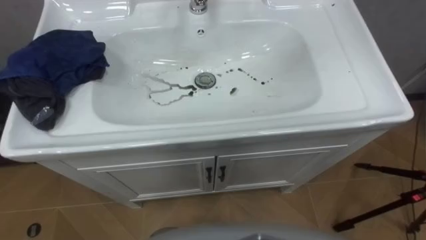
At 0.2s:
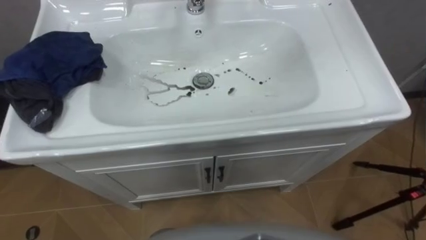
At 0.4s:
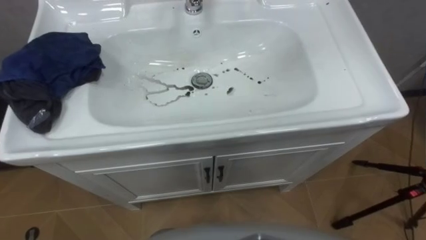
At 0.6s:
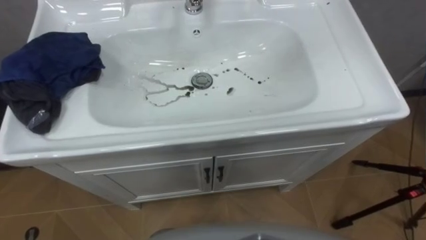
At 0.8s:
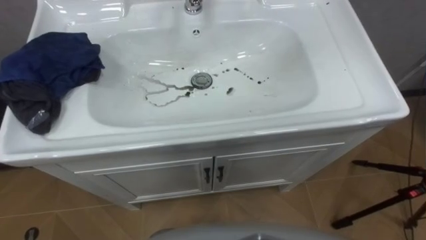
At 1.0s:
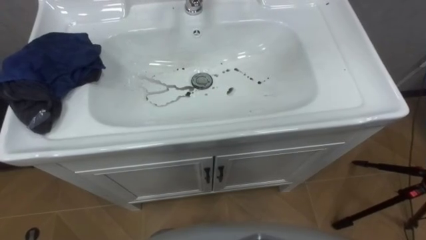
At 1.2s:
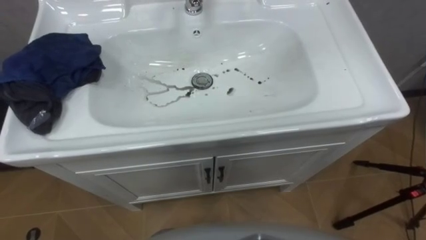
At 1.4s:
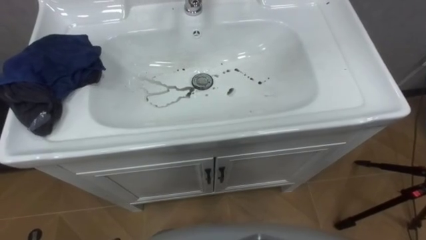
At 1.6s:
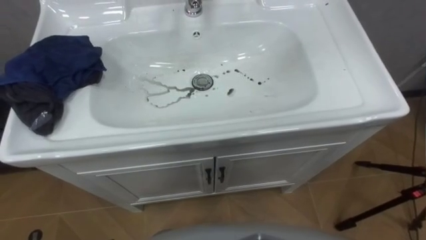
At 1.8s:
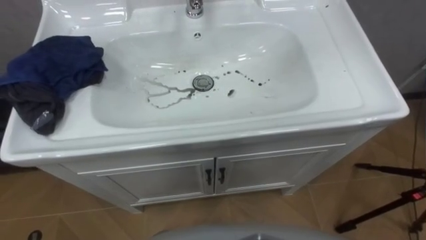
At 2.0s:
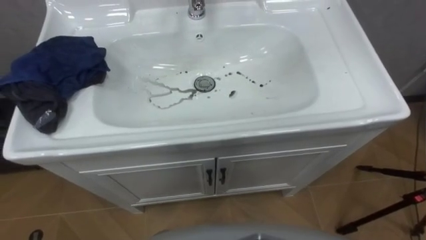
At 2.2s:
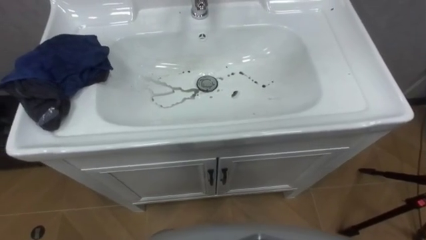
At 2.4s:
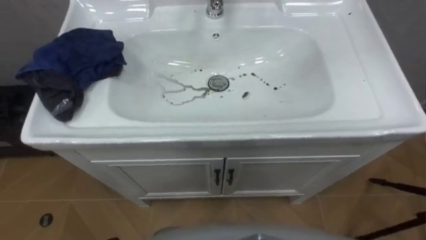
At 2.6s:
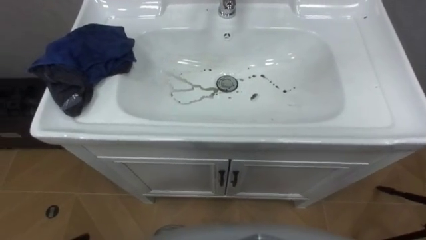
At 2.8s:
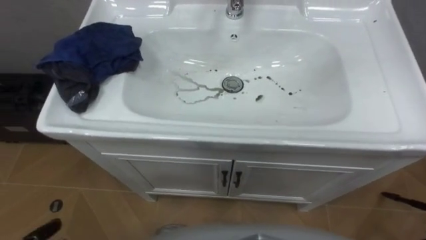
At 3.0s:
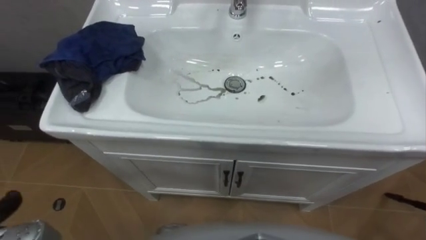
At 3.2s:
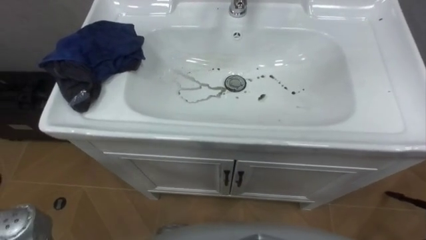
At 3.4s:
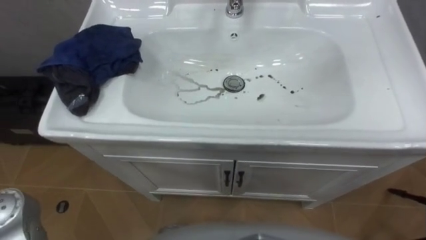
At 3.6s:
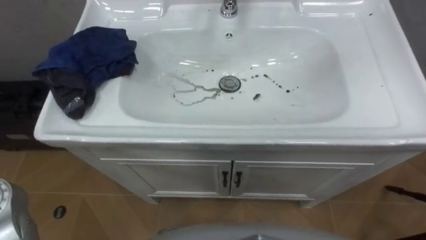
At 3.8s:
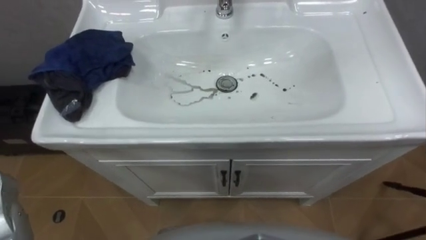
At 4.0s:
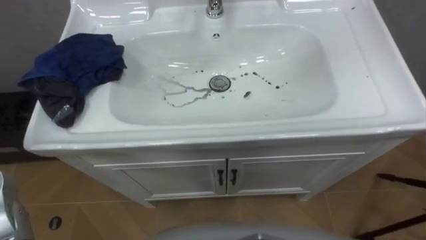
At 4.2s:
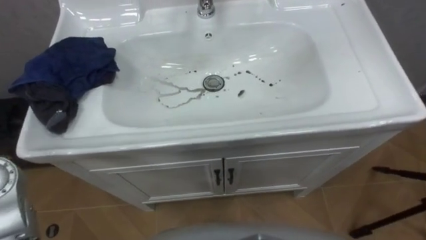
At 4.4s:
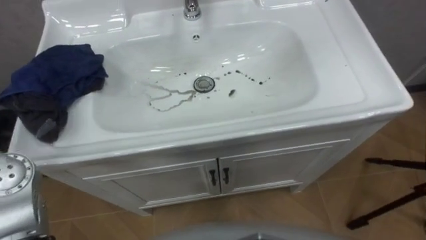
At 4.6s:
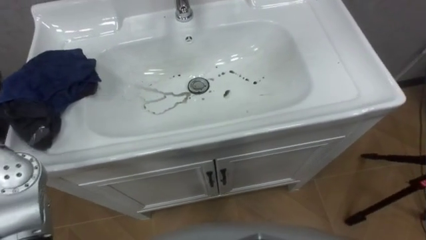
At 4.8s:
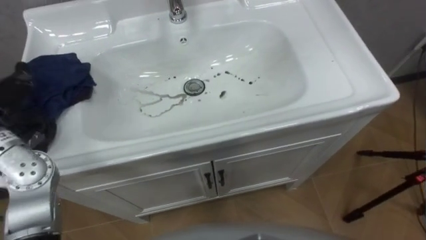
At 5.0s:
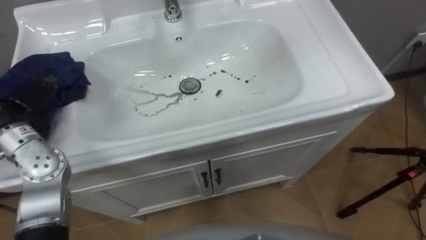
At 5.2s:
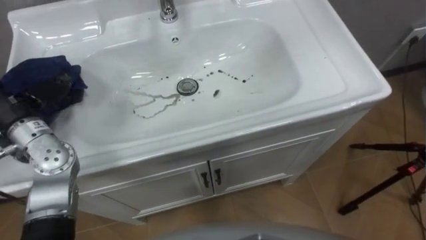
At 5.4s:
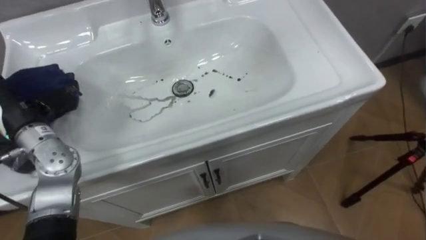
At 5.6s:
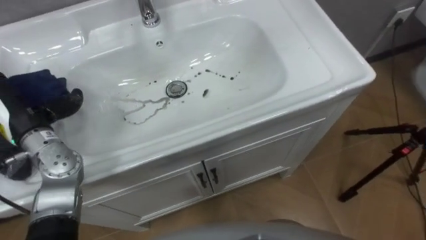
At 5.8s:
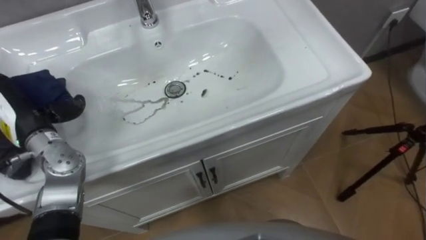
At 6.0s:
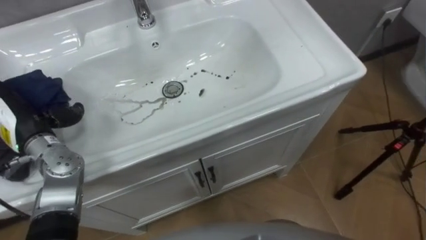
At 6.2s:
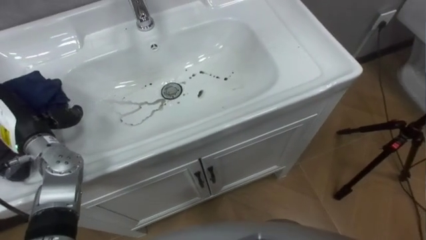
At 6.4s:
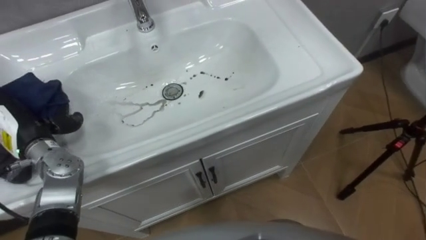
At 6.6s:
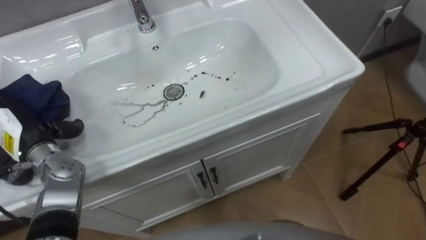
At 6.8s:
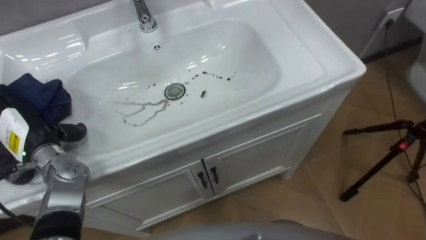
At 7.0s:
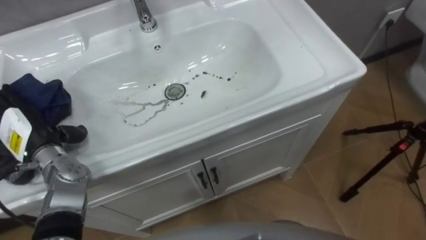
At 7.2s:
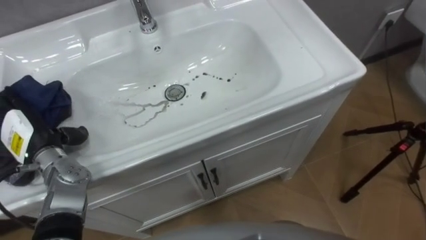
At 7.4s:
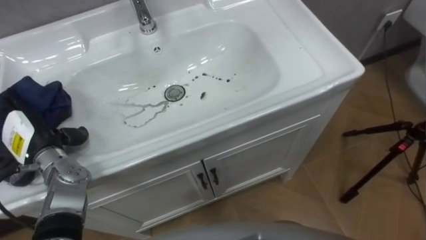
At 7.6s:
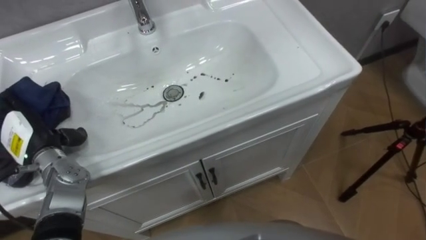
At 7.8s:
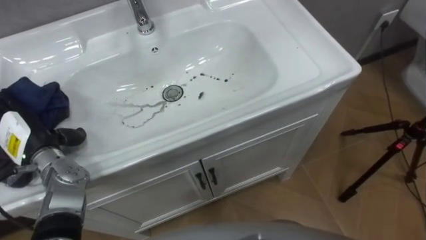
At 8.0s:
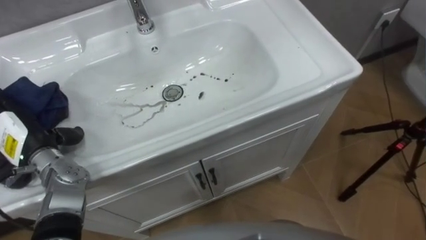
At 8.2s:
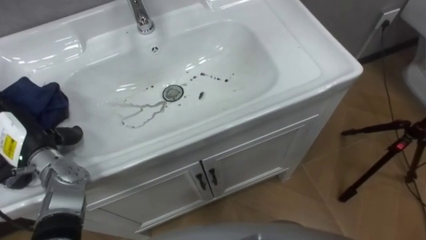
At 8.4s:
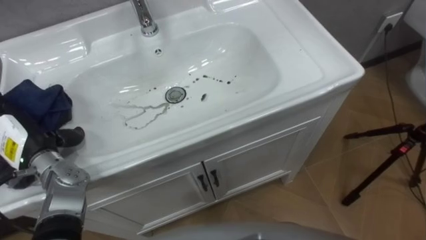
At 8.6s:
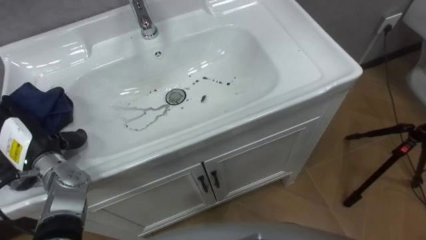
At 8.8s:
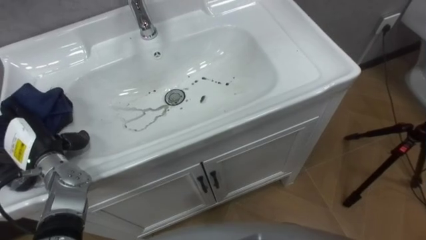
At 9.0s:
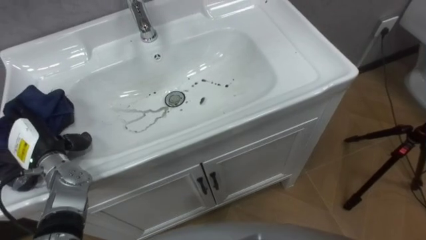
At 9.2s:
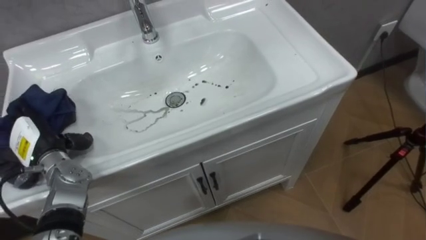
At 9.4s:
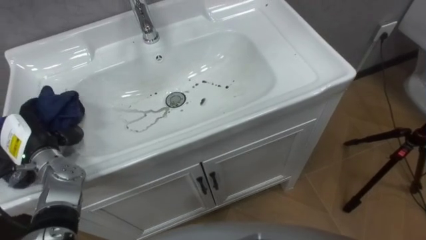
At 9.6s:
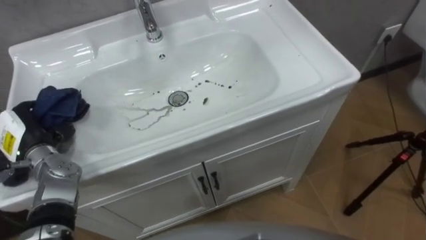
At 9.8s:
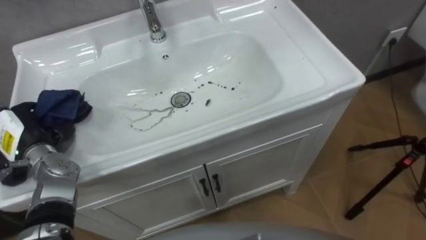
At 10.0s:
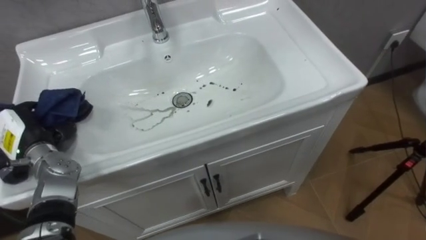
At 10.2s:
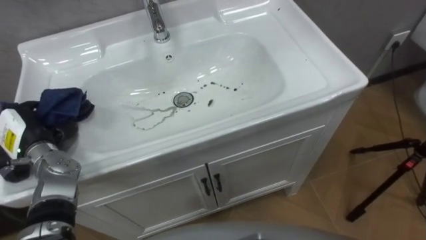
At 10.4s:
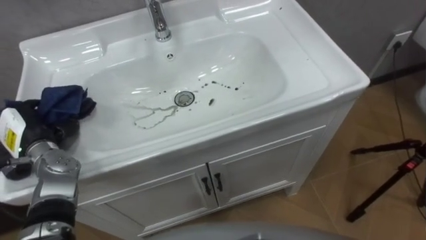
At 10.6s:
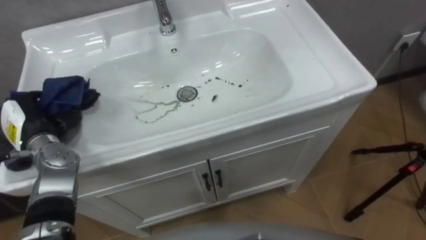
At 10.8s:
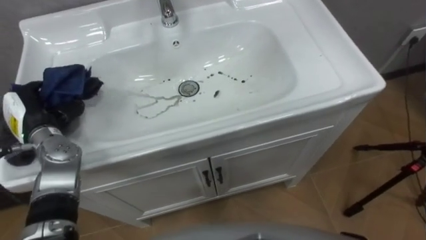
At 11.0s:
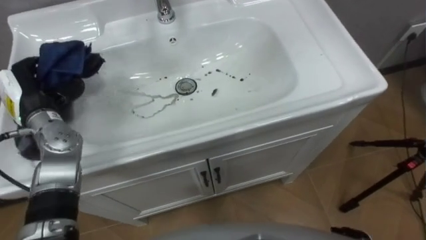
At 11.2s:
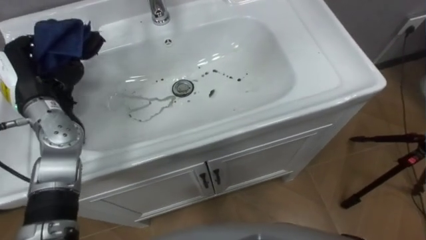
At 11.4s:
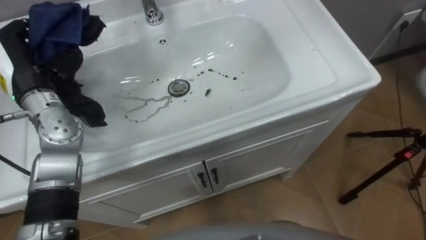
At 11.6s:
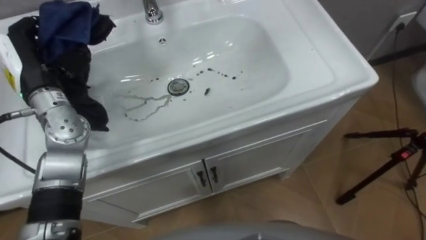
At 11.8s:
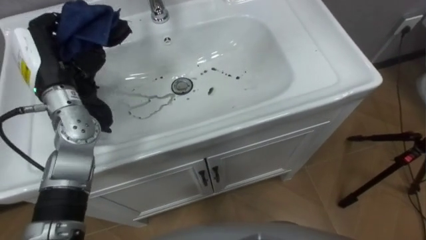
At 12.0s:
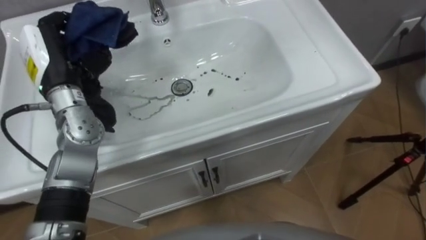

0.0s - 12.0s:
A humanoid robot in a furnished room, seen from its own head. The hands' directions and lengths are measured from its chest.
Task of the whole recording: Use the cloth on the right to wipe away the black stain in the sink.
9.0s - 10.4s: The left hand closes up.
10.4s - 12.0s: The left hand moves upward, to the right and forward, approximately 15 cm.

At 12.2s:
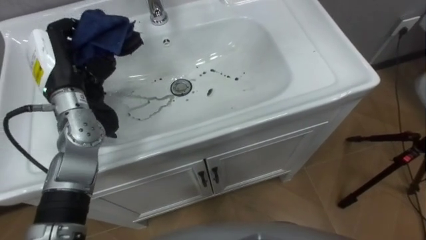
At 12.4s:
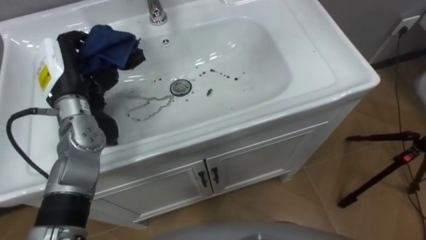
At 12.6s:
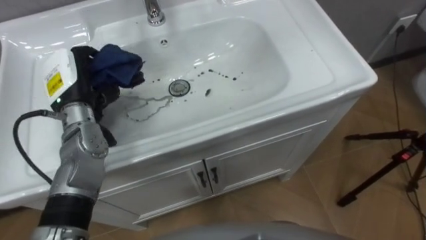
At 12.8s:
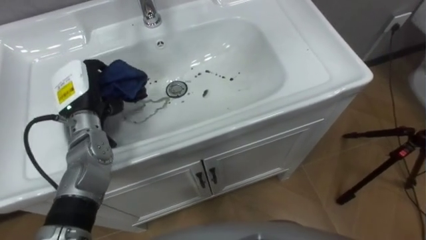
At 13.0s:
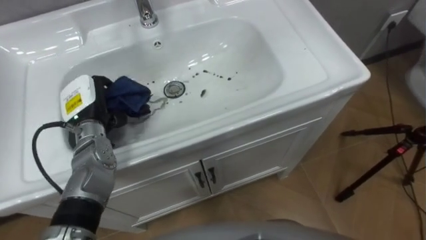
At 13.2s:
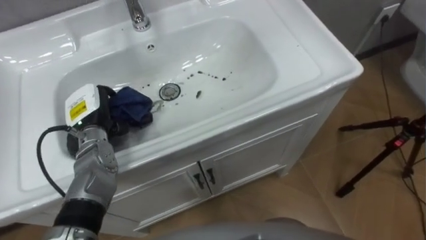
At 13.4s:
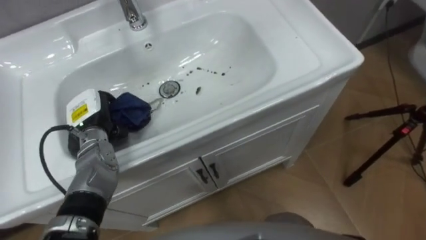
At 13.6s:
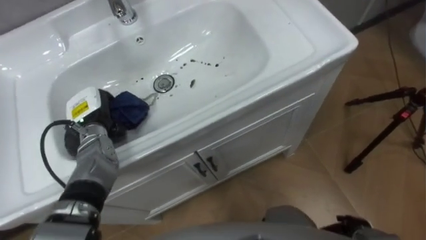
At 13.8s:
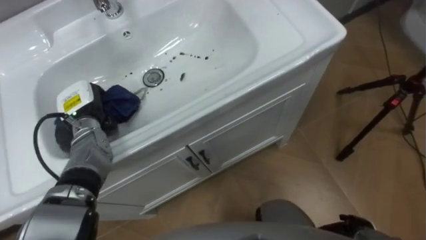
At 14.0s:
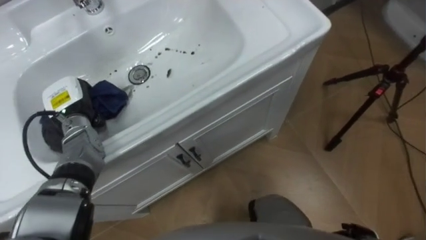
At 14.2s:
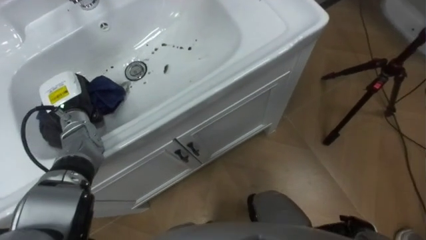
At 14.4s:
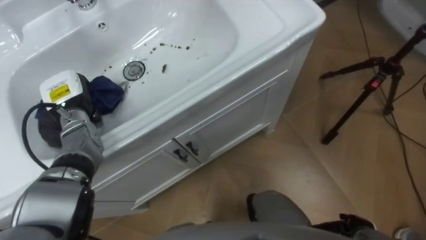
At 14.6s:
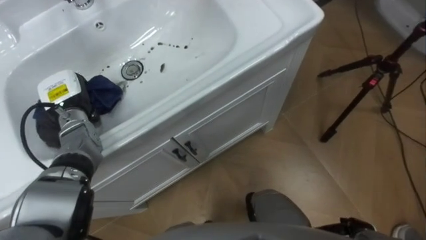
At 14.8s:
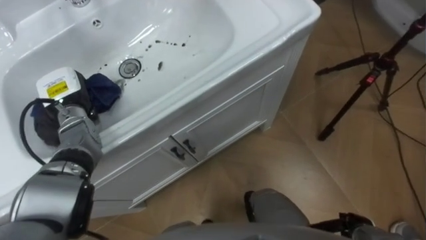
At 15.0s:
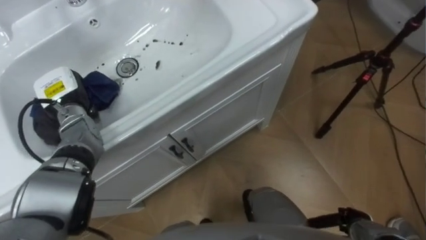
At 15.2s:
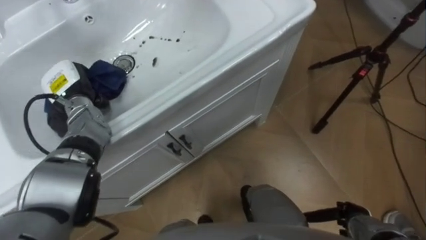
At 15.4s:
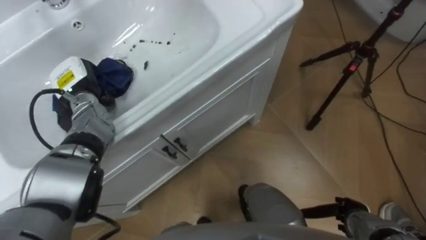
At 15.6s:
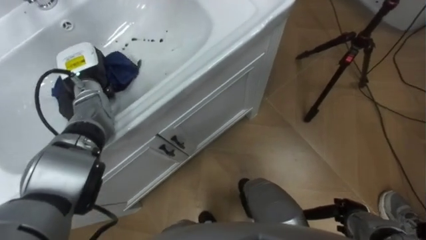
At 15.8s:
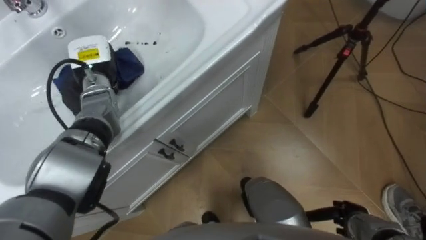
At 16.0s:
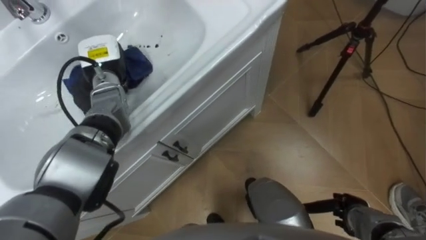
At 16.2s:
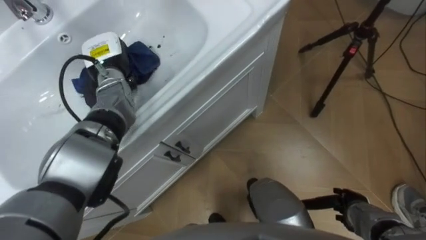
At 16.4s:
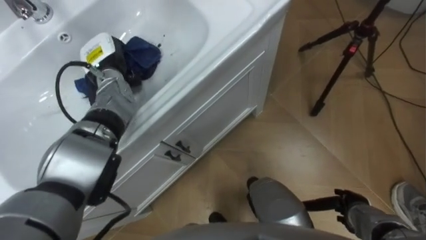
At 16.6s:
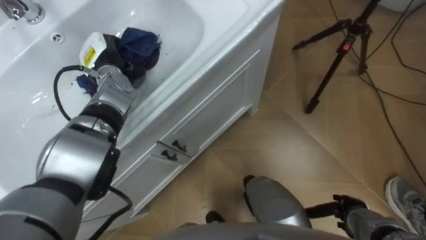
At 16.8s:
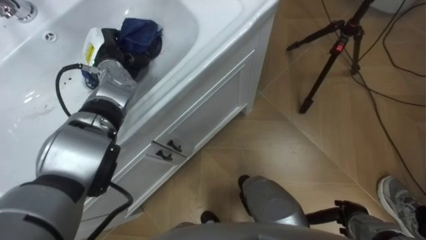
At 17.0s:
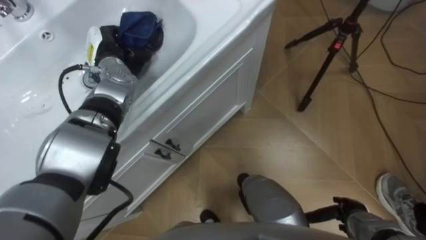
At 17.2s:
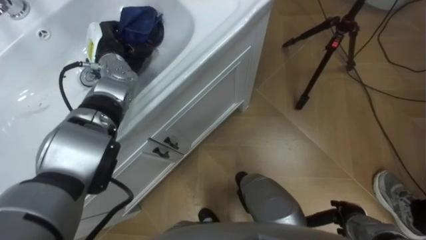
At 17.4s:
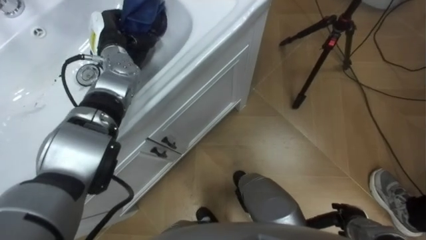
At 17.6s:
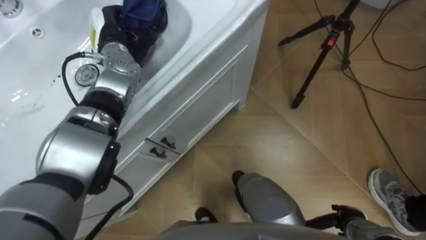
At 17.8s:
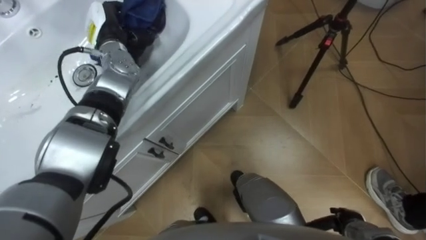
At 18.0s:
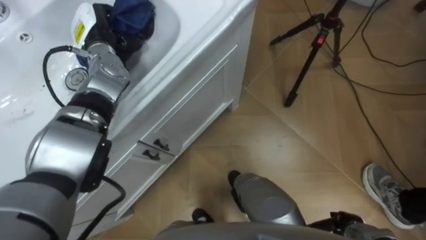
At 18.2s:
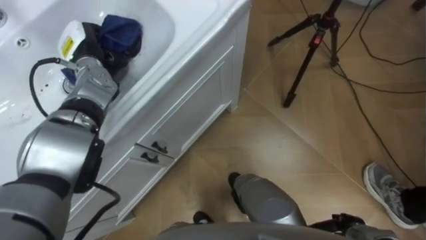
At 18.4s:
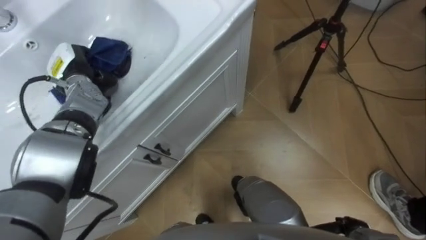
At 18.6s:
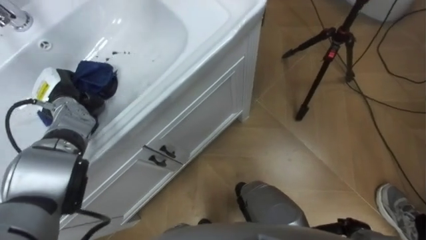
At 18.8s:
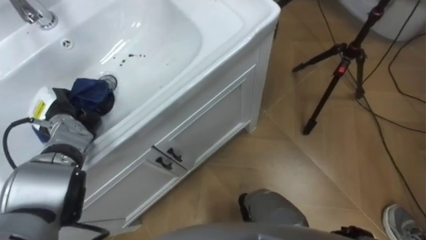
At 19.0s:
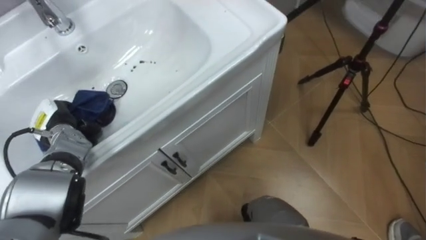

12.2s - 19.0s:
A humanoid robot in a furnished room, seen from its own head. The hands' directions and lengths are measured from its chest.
Task of the whole recording: Use the cloth on the right to wipe away the black stain in the sink.
12.2s - 13.6s: The left hand travels downward by approximately 15 cm.
13.6s - 15.0s: The left hand changes place by roughly 5 cm.
15.0s - 16.2s: The left hand moves to the right and forward, roughly 10 cm.
16.2s - 17.6s: The left hand ends up roughly 5 cm from where it was.
17.6s - 19.0s: The left hand goes some 25 cm backward, to the left and downward.
